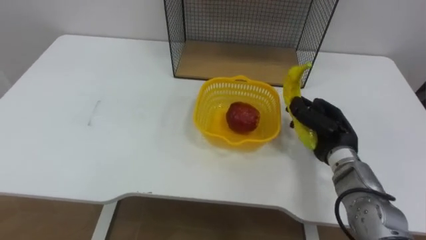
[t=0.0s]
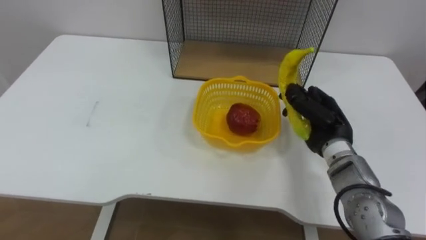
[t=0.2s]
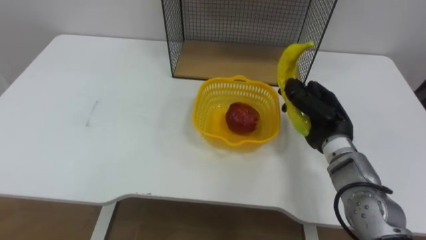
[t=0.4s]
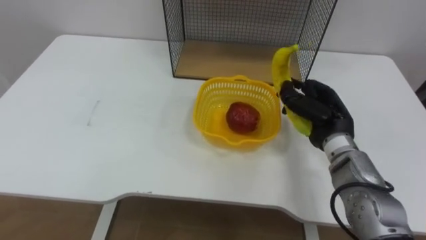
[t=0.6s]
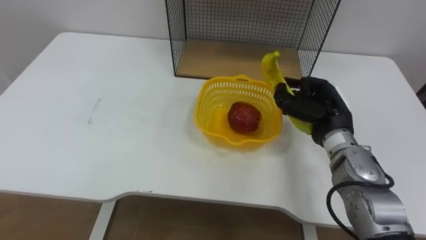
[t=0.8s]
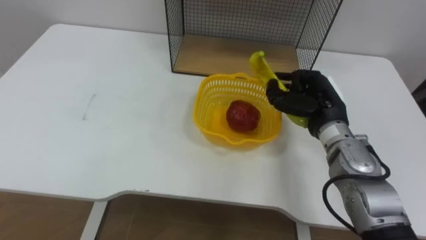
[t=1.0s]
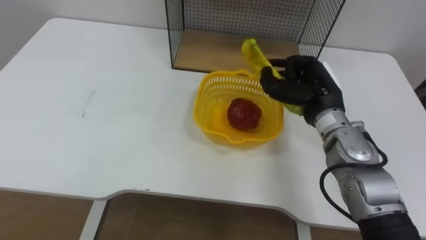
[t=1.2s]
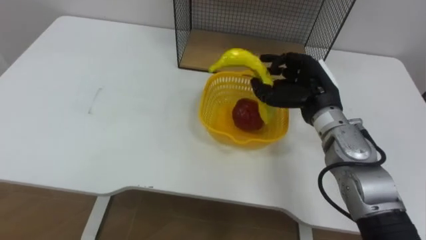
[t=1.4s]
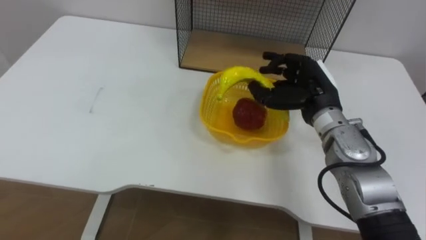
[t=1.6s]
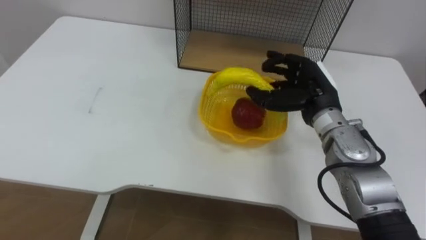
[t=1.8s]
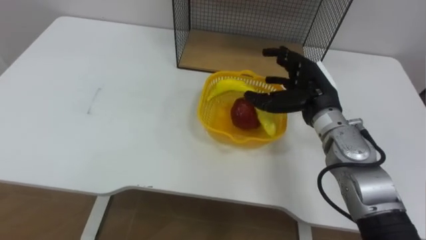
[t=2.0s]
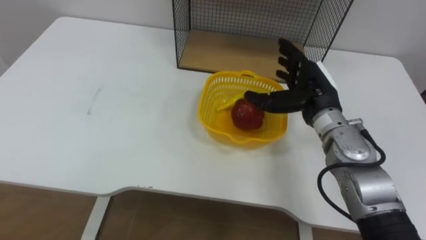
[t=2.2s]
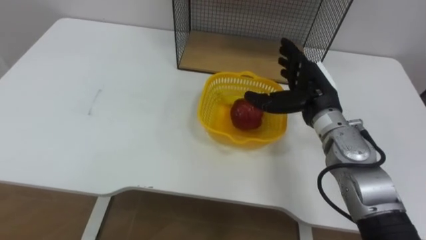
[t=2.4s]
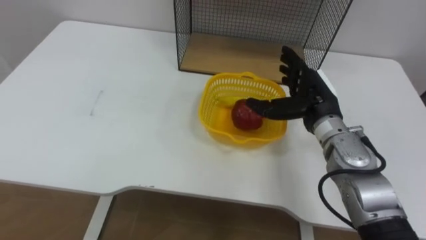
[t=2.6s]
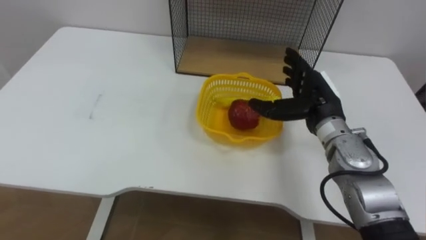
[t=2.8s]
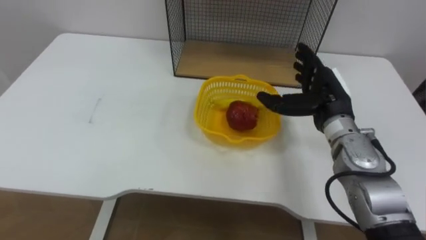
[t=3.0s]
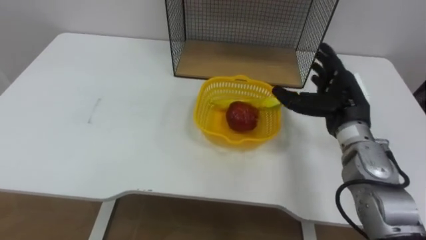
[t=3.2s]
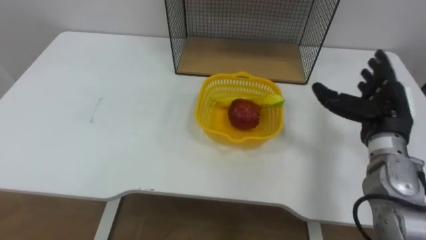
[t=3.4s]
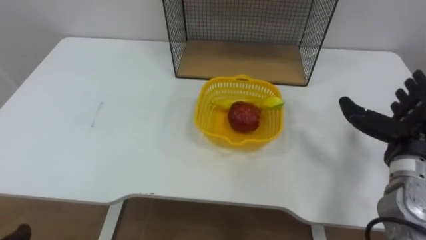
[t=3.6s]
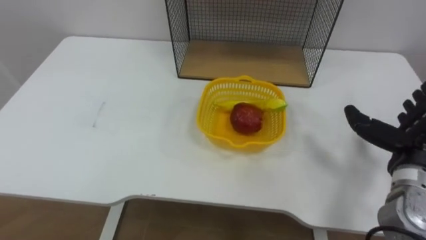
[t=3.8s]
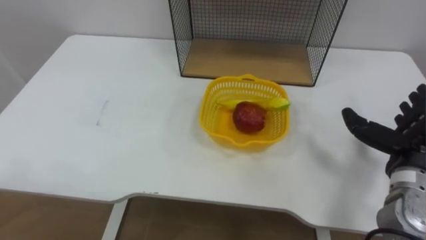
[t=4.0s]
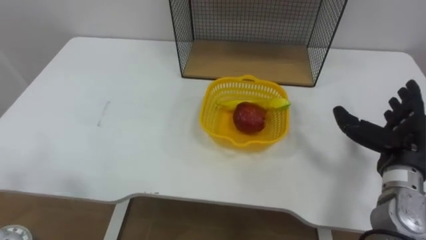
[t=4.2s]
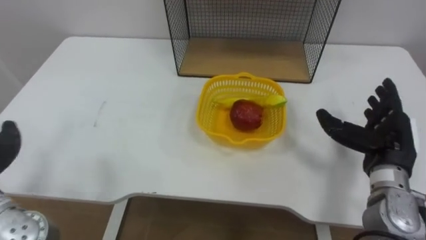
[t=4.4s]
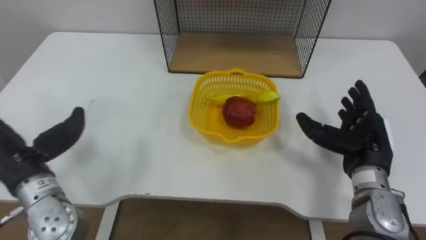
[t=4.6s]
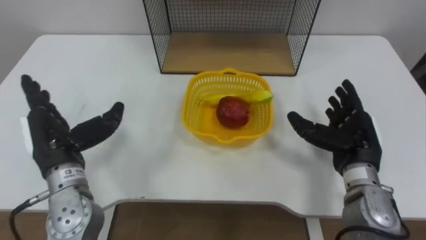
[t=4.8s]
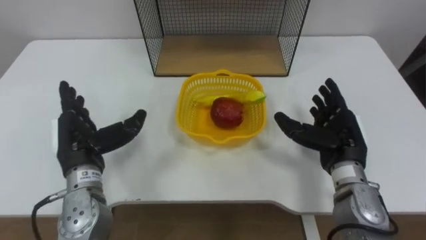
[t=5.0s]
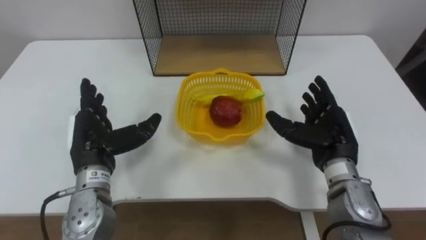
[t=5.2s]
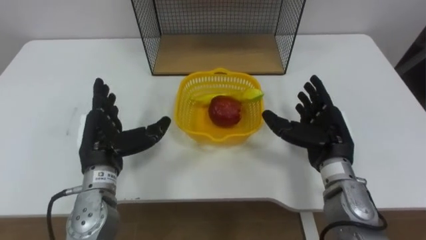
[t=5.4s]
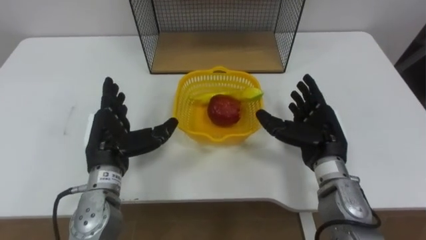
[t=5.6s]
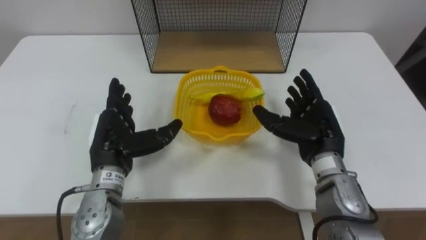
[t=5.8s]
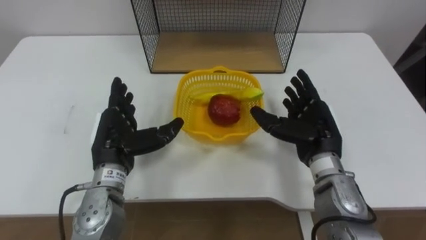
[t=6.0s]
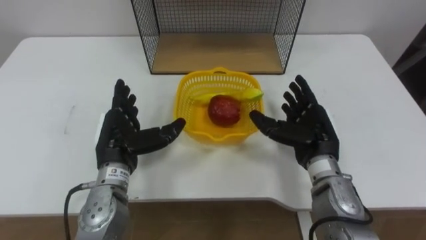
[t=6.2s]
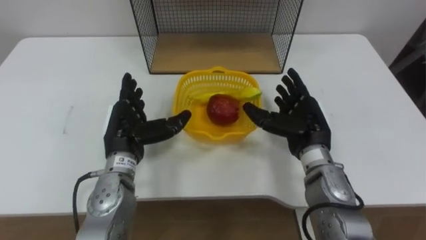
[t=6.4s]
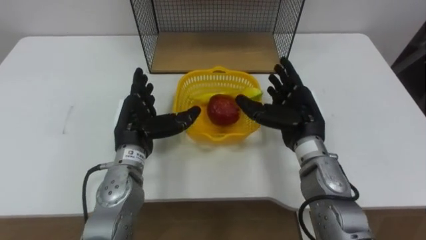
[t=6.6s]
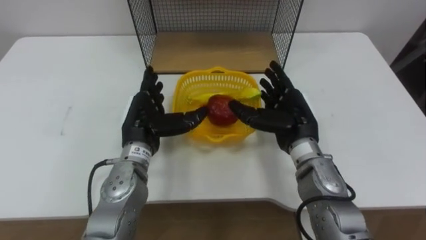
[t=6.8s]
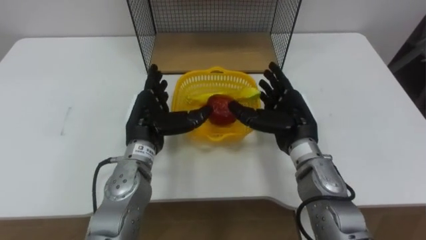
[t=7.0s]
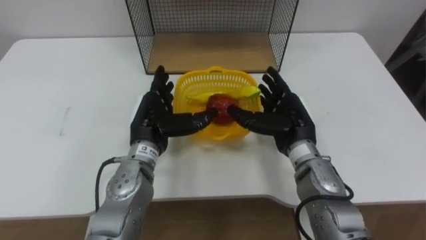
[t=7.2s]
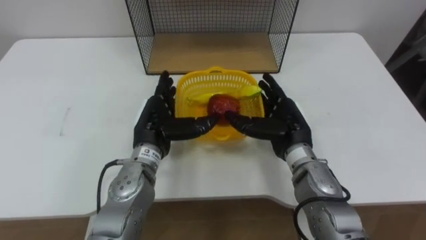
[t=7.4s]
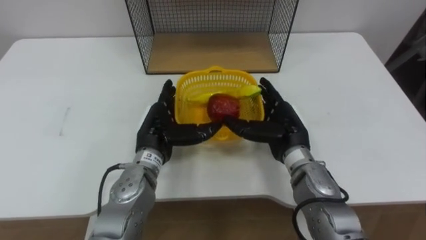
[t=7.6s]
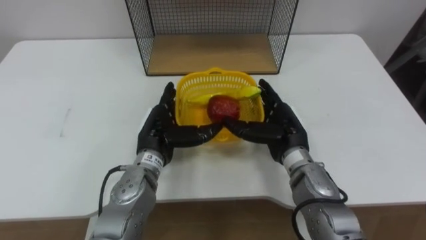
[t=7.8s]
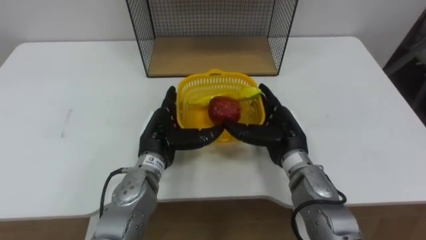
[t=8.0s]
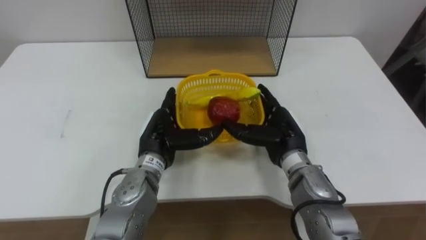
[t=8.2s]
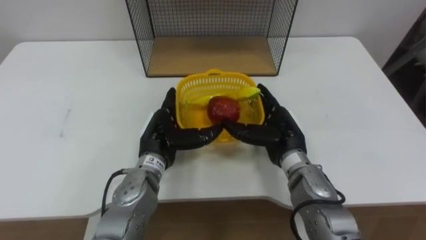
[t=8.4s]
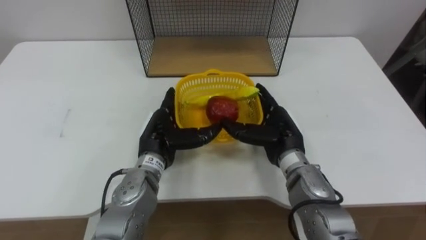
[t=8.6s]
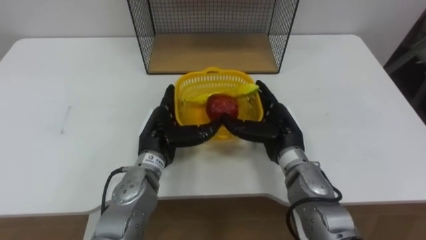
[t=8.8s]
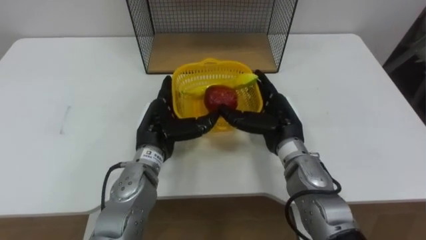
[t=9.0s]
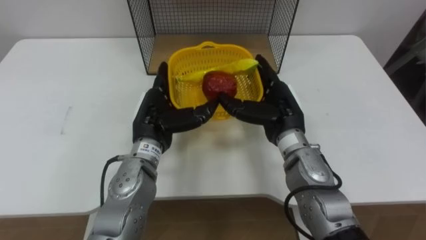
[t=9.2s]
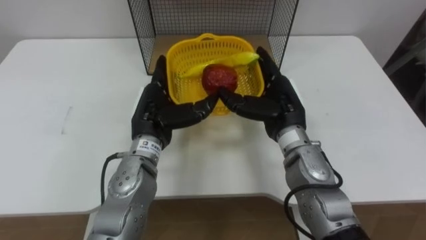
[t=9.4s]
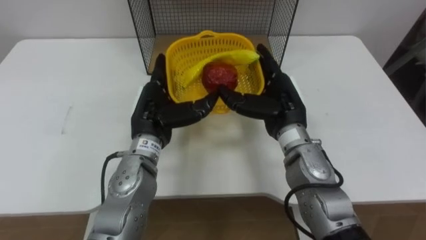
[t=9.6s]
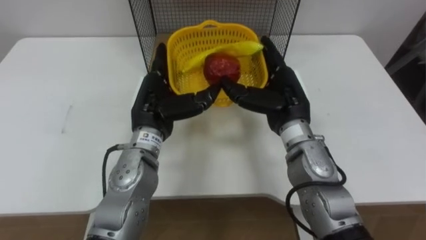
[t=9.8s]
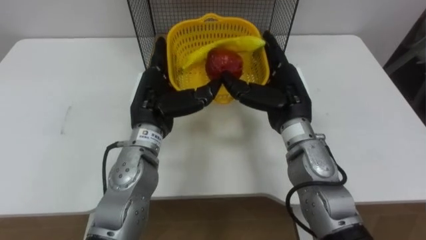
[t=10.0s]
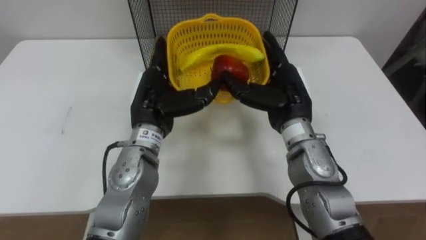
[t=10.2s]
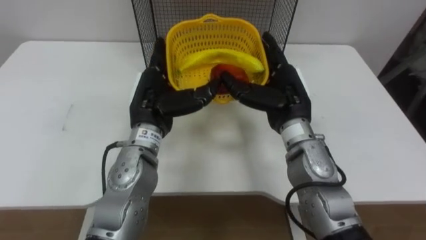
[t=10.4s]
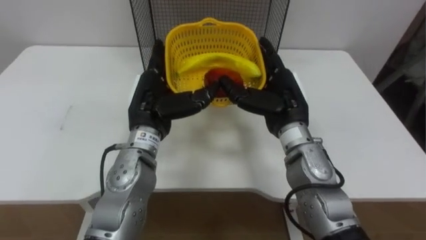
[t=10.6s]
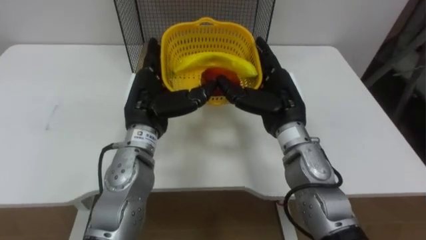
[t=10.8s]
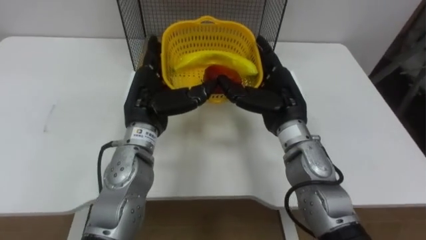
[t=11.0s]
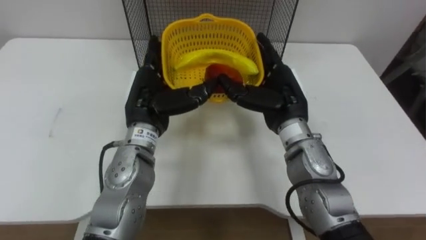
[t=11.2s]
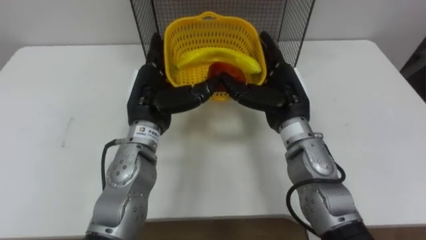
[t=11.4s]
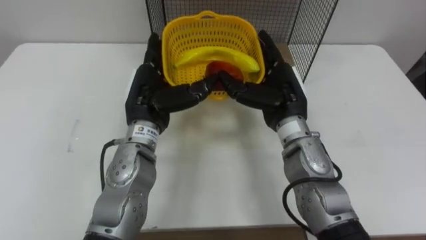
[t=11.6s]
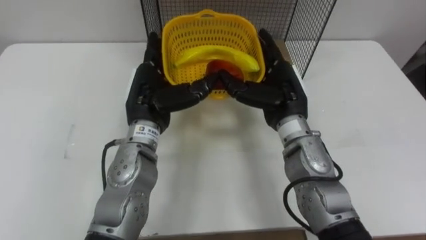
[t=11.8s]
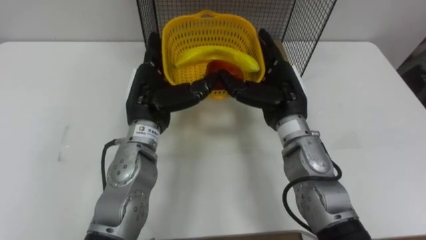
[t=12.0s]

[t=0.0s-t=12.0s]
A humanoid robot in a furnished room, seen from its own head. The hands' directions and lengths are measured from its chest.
Task of the whole recording: Put the fruit on the table into the basket, then place the basket on the shelf.
t=0.0s to t=1.6s: The right hand goes about 10 cm upward and to the left.
t=1.6s to t=3.0s: The right hand opens.
t=3.0s to t=4.4s: The right hand goes roughly 15 cm to the right and backward.
t=4.4s to t=6.0s: The right hand travels to the left by about 10 cm.
t=6.0s to t=7.6s: The left hand travels to the right by roughly 5 cm, while the right hand heads to the left, covering about 5 cm.
t=7.6s to t=9.0s: The hands make only small movements.
t=9.0s to t=10.4s: The hands both shift upward by roughly 5 cm.

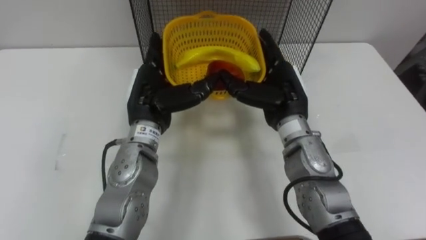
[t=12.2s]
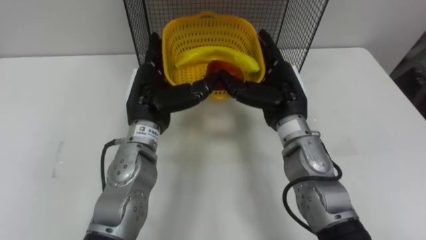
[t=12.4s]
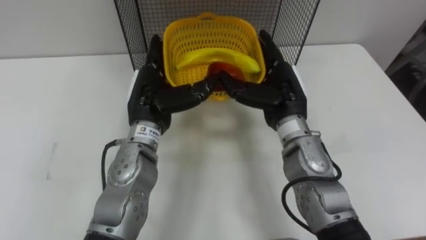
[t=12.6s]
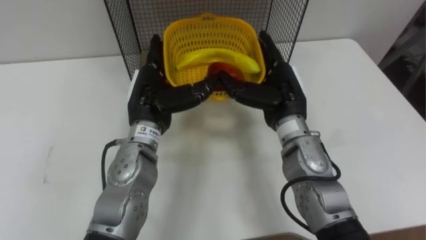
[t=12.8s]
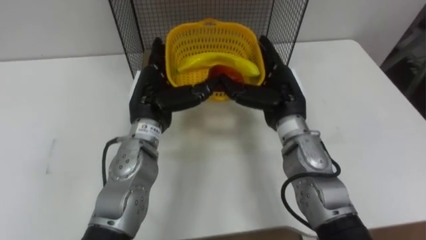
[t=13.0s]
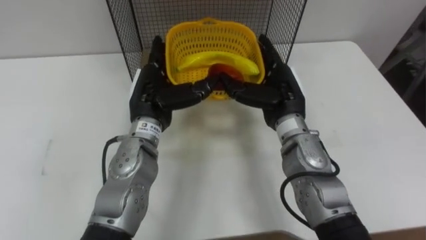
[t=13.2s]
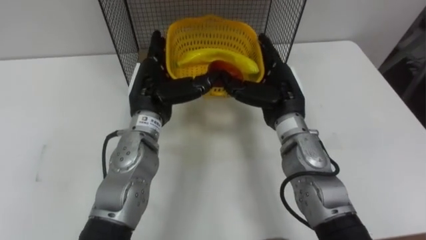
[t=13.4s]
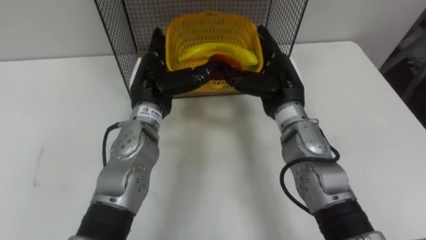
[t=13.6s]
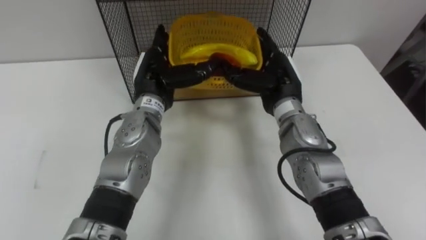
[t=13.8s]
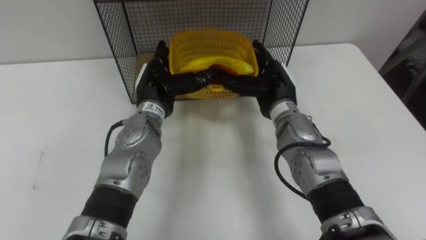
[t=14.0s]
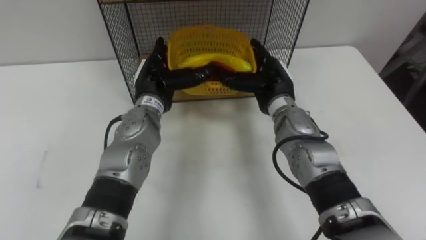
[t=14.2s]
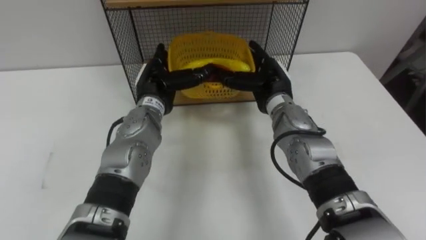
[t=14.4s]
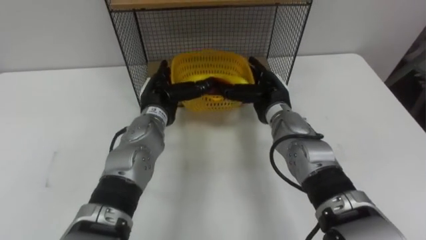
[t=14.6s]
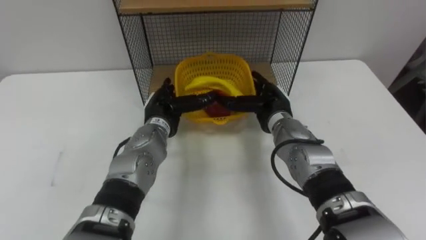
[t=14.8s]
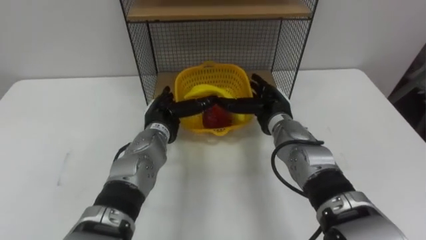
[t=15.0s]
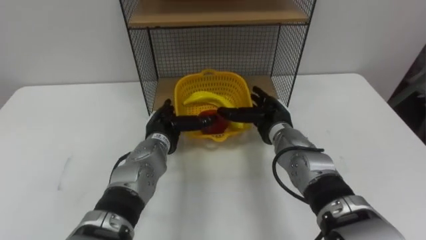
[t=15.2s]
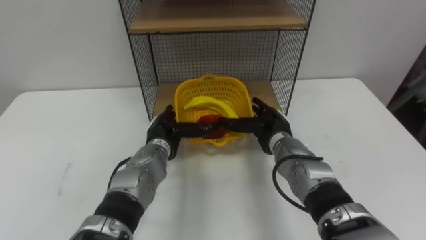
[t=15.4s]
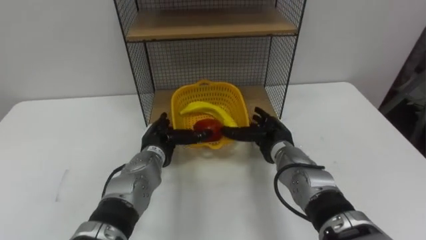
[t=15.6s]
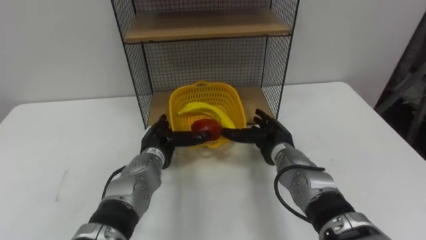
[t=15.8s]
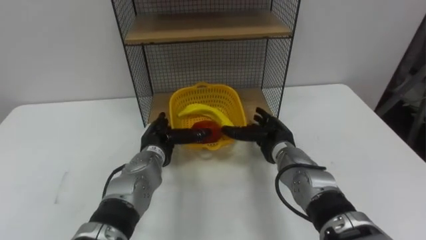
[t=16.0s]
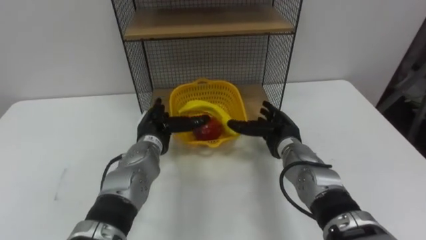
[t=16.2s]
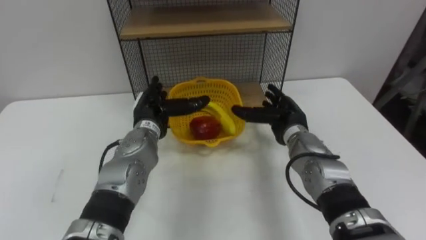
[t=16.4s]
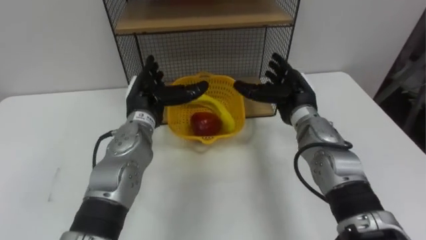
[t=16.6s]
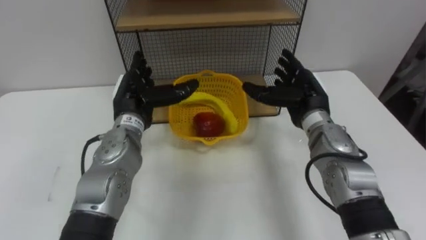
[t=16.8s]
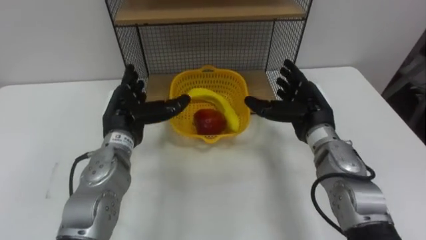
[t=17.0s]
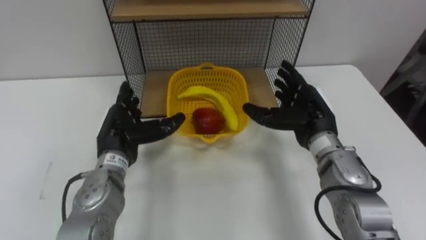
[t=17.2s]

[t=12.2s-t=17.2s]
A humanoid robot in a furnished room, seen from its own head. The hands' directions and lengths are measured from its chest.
Task of the whole recording: Put the fruit on the table into the basket, then place the basket on the shelf.
t=13.8s to t=15.6s: Both hands travel together downward, about 15 cm.
t=15.6s to t=17.2s: The right hand travels upward and to the right by about 10 cm, while the left hand heads upward and to the left, covering roughly 10 cm.
